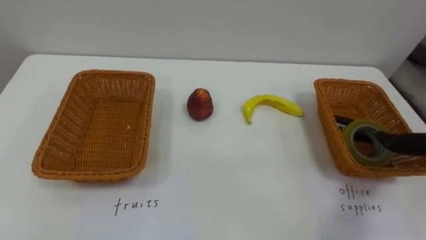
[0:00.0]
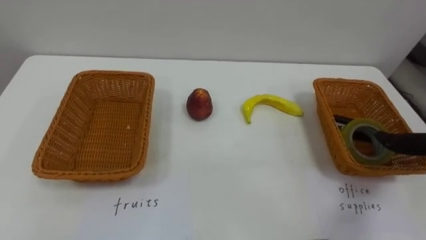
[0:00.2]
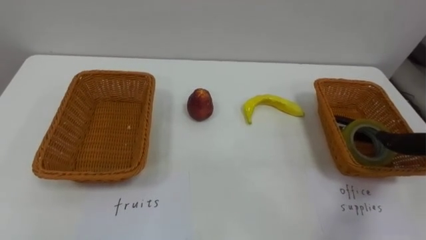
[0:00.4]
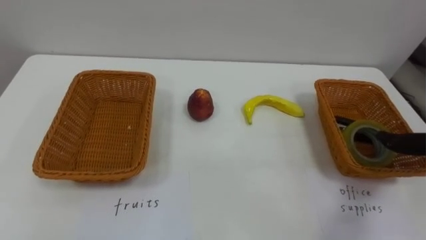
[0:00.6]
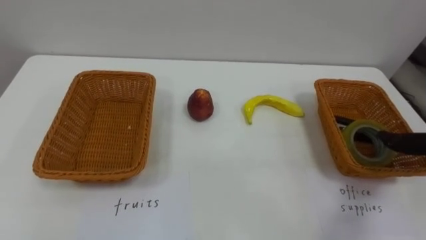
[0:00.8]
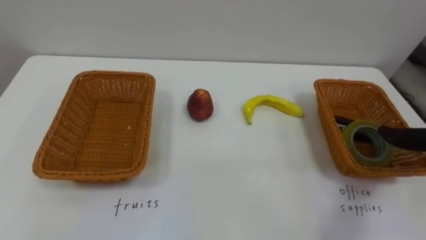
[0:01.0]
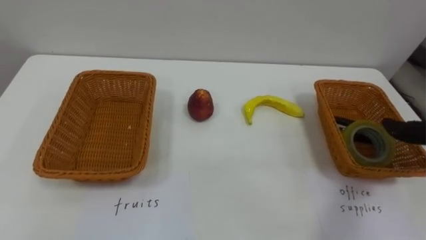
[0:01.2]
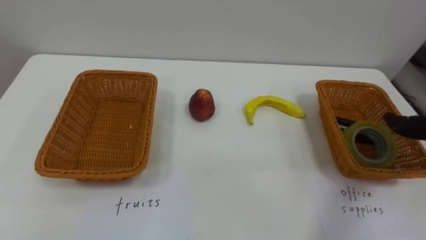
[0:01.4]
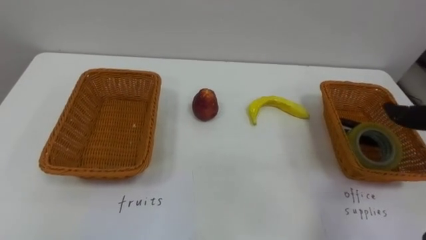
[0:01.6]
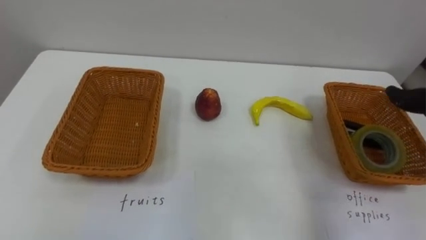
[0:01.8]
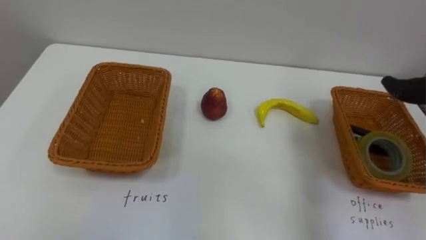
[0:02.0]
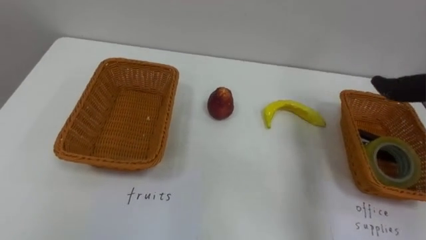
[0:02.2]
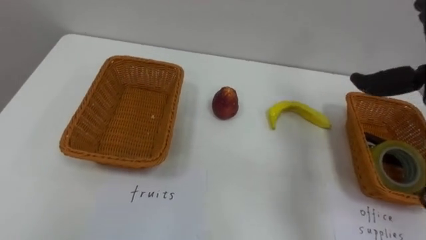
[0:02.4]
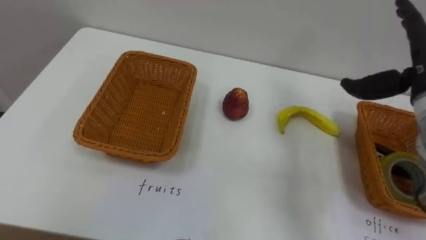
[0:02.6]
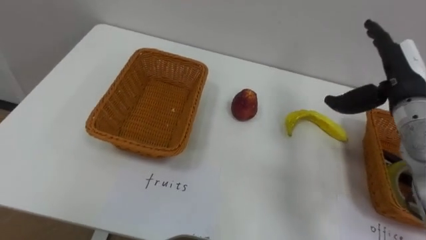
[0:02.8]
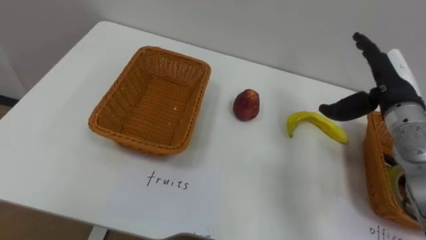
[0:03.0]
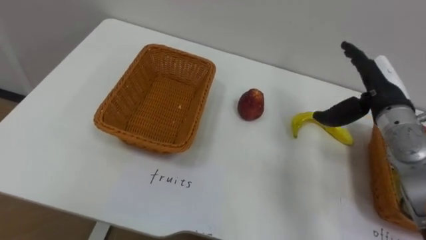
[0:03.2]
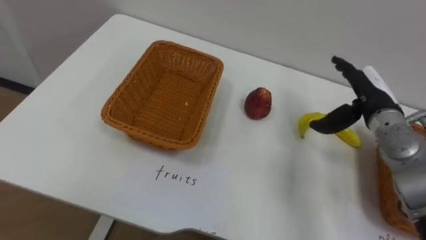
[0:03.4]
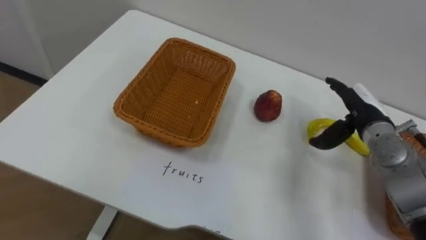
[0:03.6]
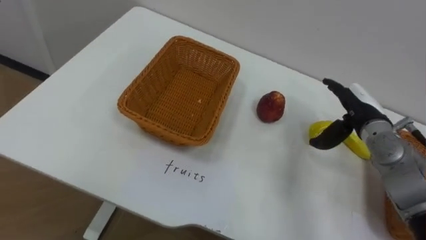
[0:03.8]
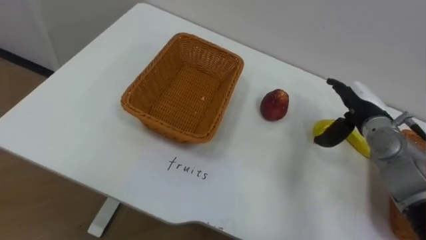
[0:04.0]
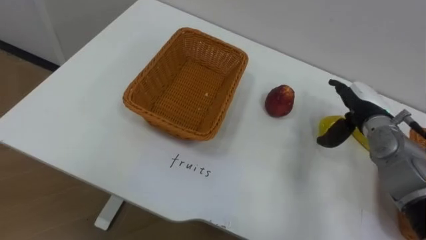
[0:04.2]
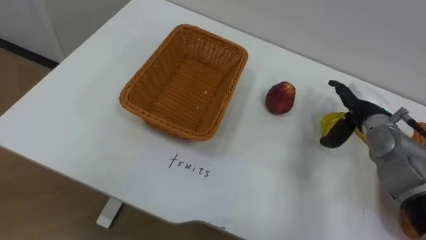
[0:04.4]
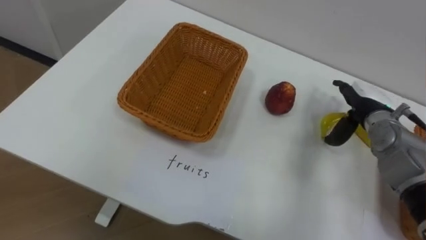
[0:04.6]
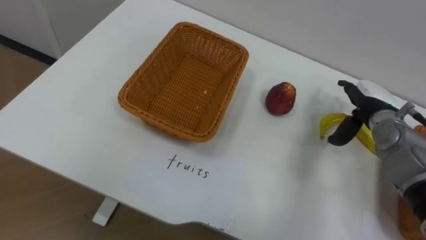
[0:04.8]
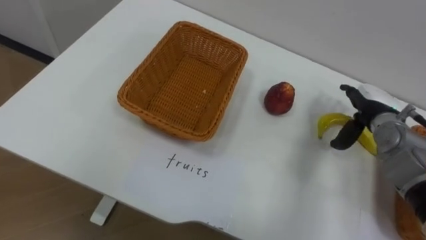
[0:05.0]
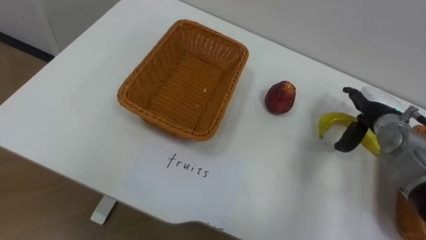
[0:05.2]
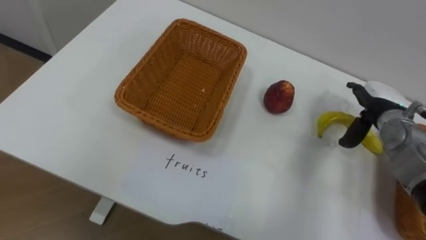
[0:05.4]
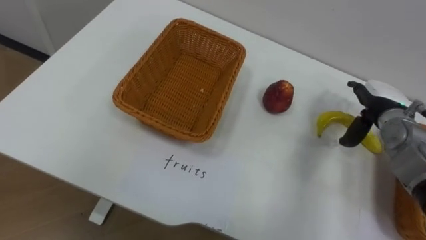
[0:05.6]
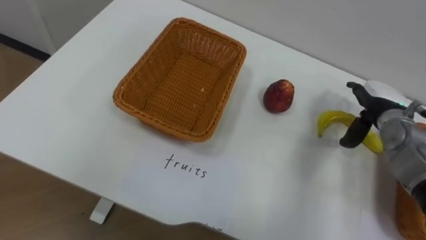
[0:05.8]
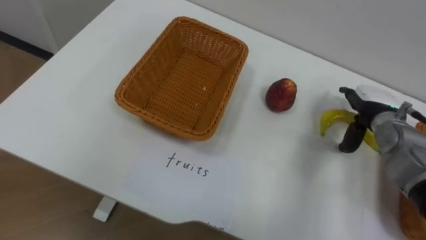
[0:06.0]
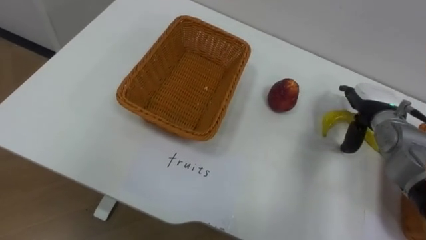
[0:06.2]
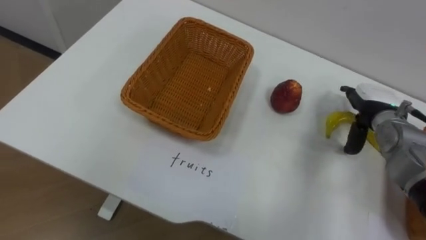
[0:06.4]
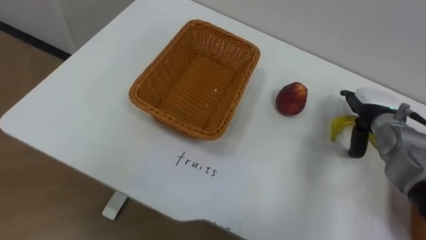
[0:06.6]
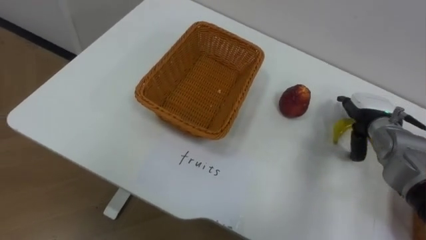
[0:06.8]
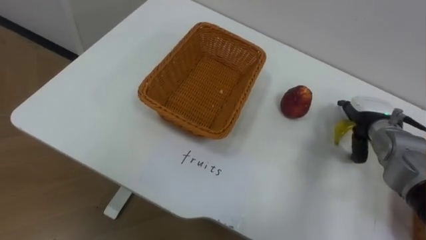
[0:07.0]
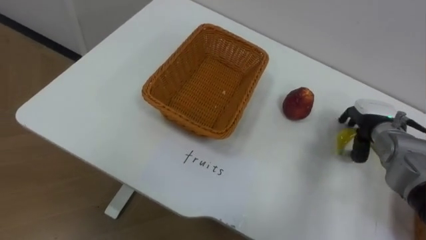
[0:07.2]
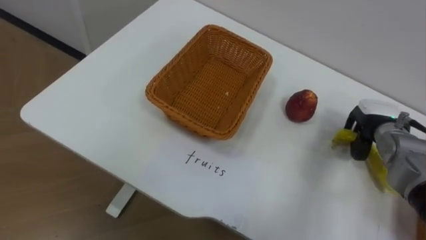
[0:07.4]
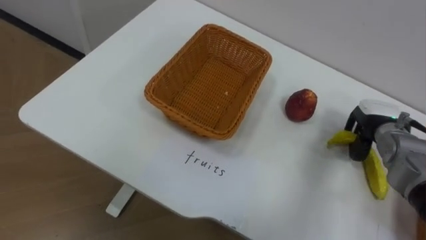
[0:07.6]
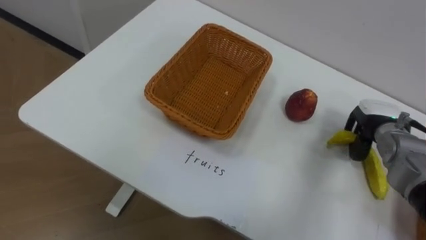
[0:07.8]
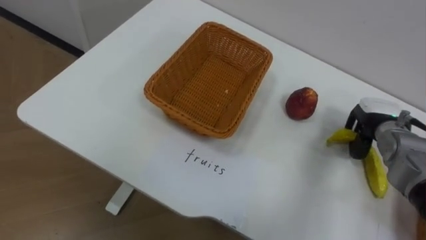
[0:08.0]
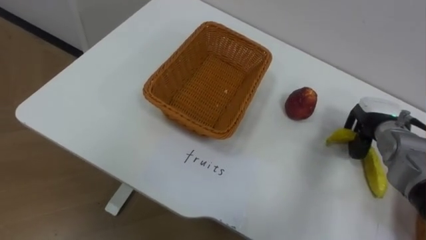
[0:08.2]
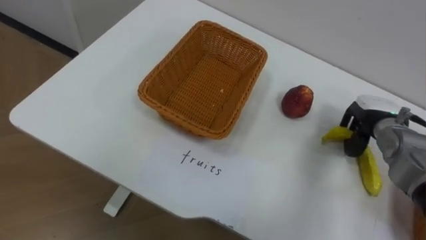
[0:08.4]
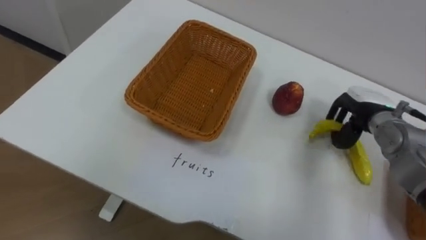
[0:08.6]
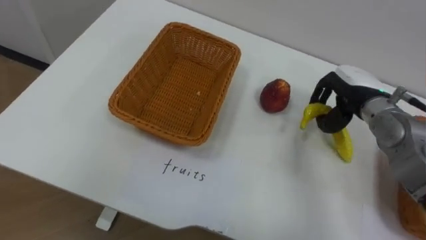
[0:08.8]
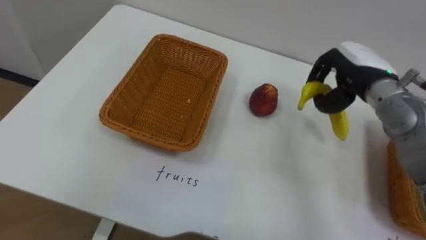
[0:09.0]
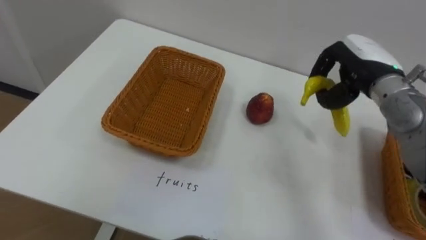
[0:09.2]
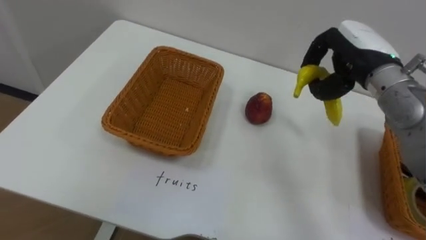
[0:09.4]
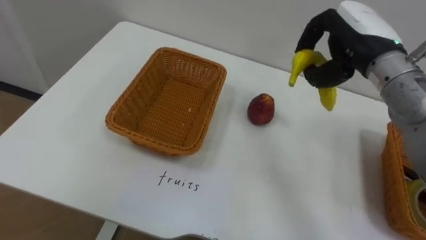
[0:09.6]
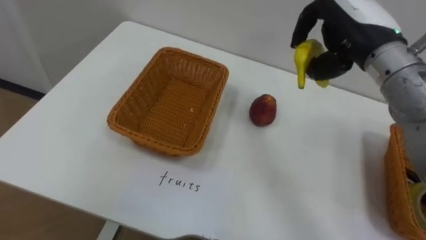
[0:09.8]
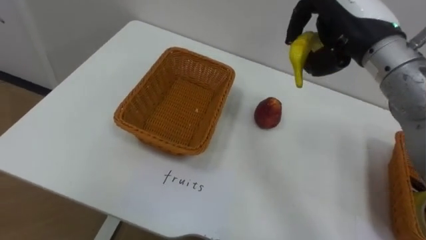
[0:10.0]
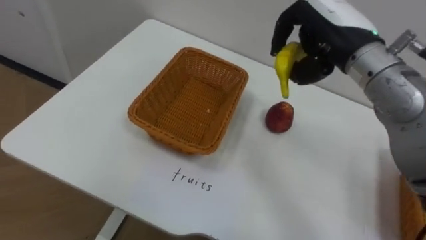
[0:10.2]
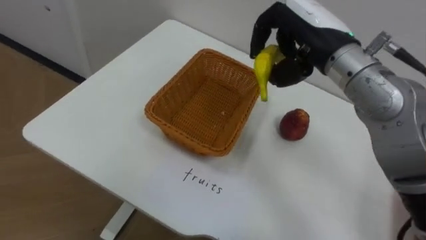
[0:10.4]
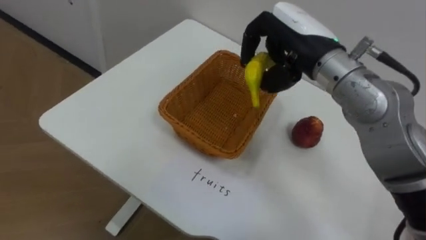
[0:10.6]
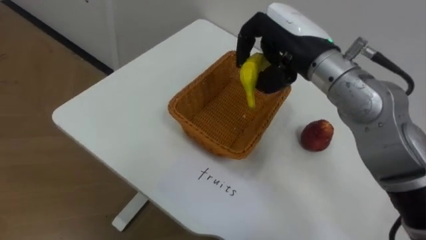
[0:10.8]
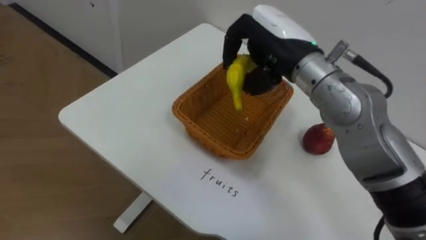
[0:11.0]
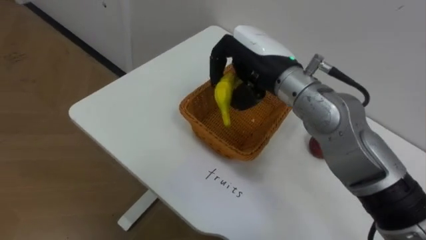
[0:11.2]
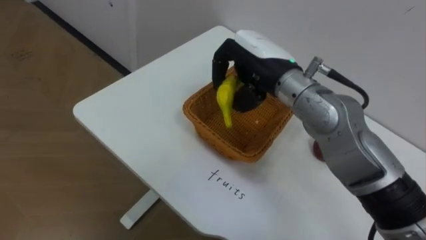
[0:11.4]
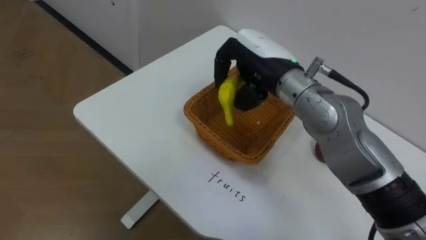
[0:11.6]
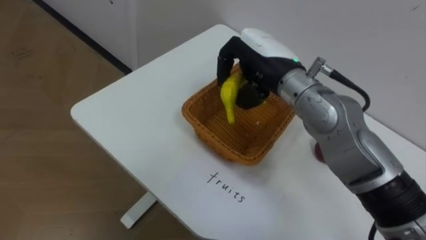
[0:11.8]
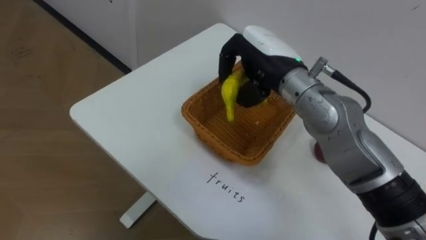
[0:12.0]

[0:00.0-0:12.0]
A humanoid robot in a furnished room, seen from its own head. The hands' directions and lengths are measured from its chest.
Task of the whole recording: Separate the items on the table and place them into the two baskets.
3.0 to 4.4 s: The right hand moves downward, some 10 cm.
6.0 to 7.6 s: The right hand closes up.
7.6 to 9.0 s: The right hand heads upward and to the left, covering about 15 cm.
9.0 to 10.4 s: The right hand travels to the left and upward by approximately 15 cm.
10.4 to 12.0 s: The right hand moves to the left, some 5 cm.

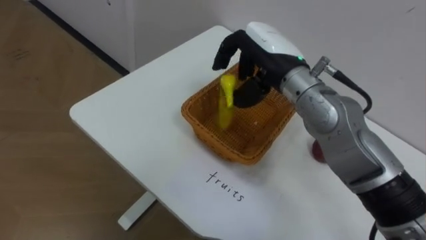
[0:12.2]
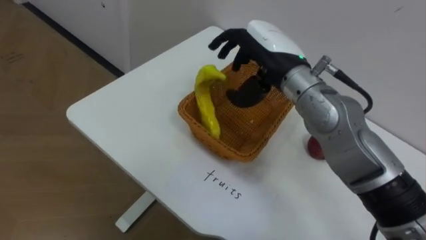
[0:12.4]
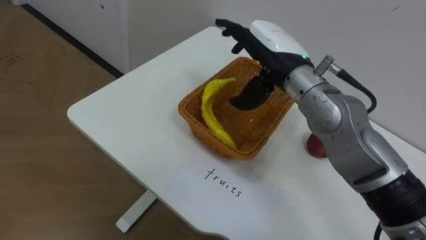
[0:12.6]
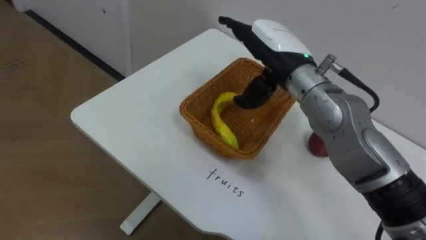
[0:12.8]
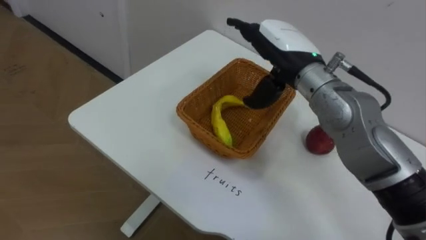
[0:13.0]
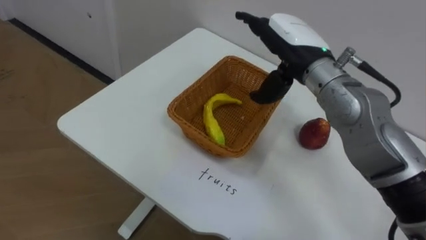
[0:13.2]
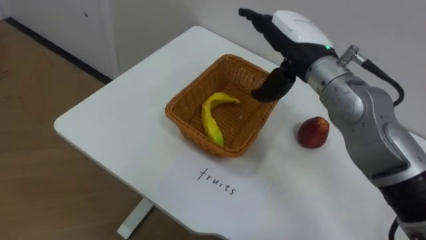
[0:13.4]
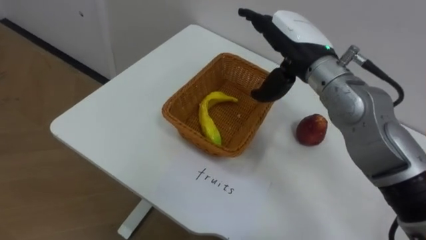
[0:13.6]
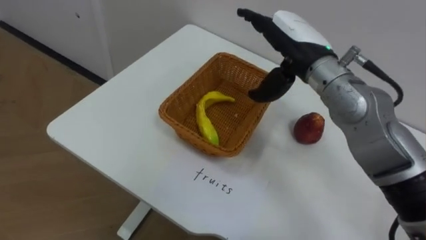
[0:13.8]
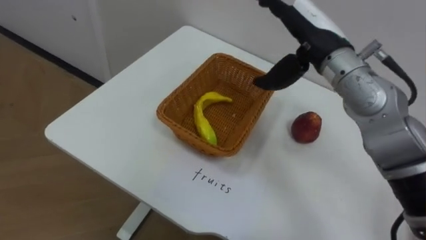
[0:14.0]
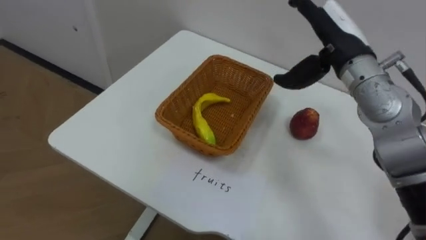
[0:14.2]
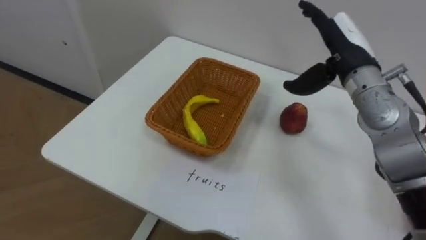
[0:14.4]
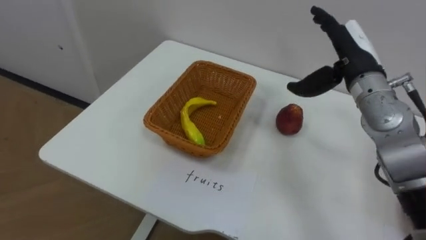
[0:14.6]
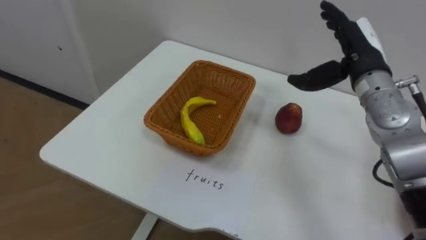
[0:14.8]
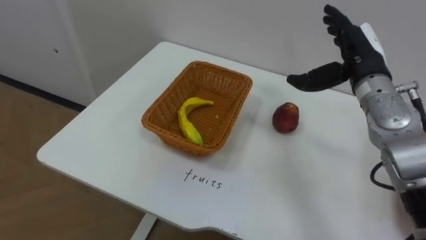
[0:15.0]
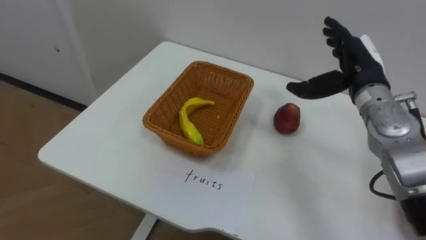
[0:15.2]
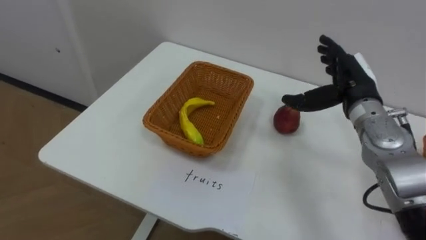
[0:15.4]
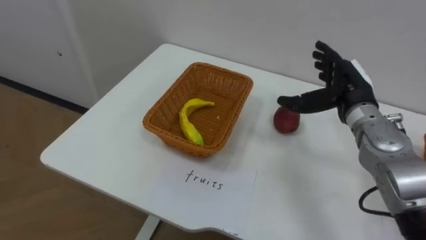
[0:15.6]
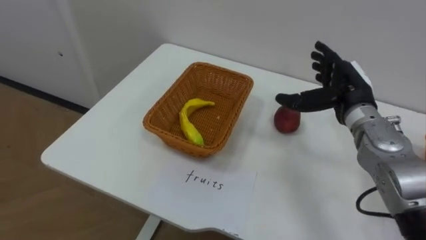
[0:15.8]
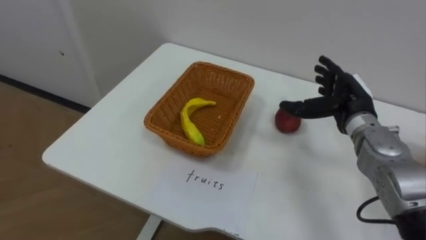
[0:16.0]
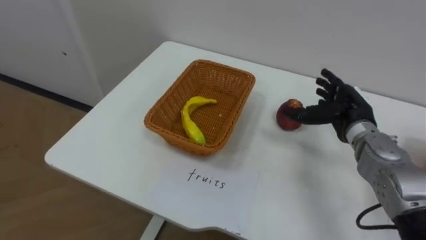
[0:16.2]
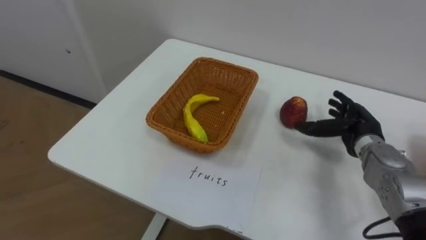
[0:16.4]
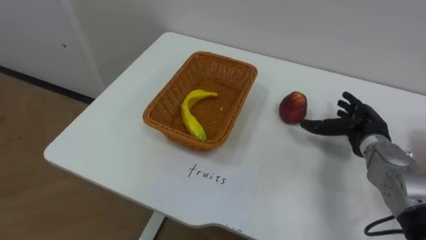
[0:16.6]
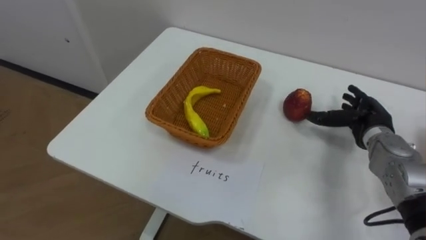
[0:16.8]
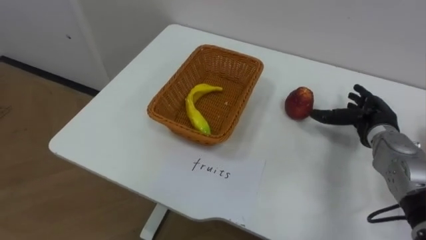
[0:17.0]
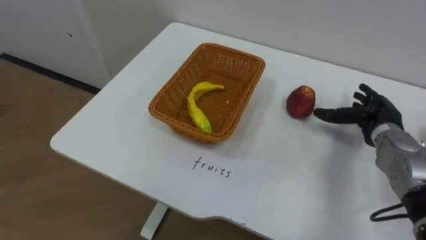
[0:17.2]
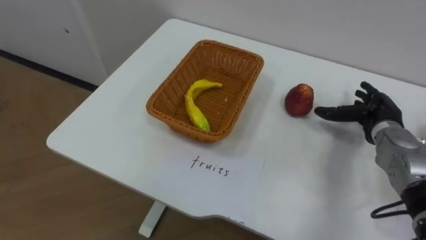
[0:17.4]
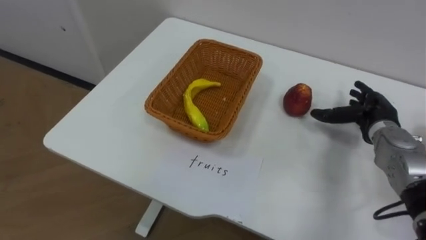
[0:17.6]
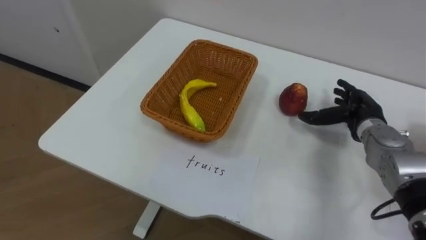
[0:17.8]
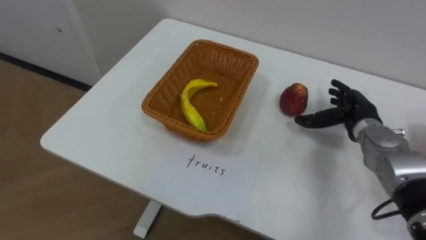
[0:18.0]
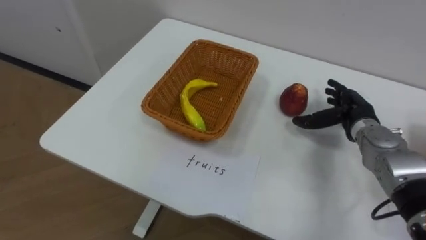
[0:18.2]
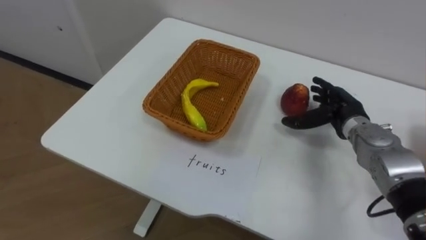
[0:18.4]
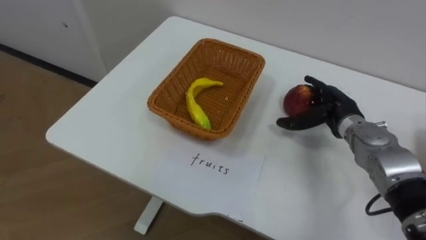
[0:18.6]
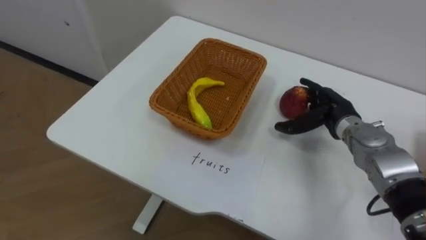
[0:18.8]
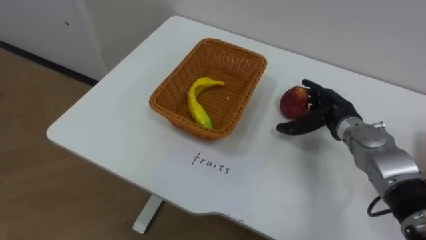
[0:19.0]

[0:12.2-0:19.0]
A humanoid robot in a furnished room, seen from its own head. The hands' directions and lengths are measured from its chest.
Task of the whole recording: Separate the items on the table and place them into the two baskets.
12.2 to 13.6 s: The right hand opens up.
13.6 to 15.0 s: The right hand heads to the right, covering approximately 10 cm.
15.0 to 16.2 s: The right hand moves downward, some 10 cm.
16.2 to 17.6 s: The right hand is displaced to the right by approximately 5 cm.
17.6 to 19.0 s: The right hand travels to the left by some 10 cm.
